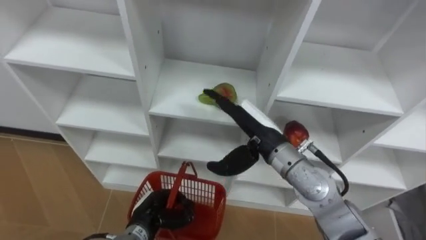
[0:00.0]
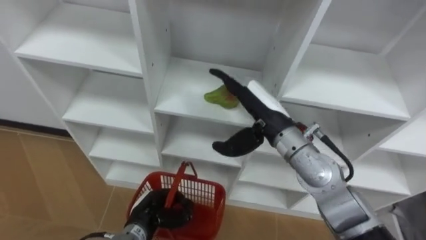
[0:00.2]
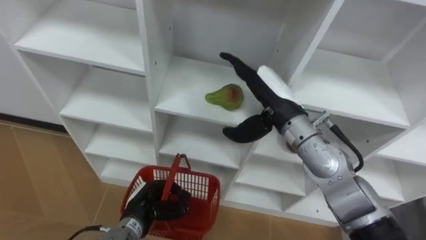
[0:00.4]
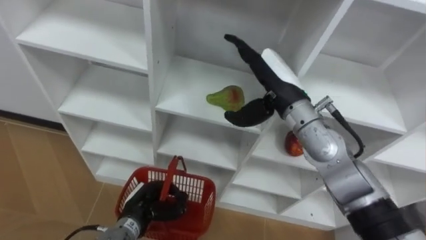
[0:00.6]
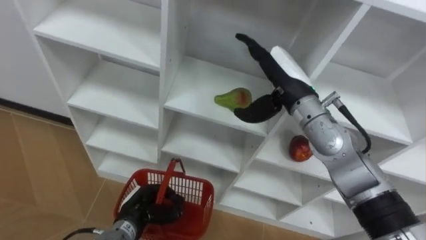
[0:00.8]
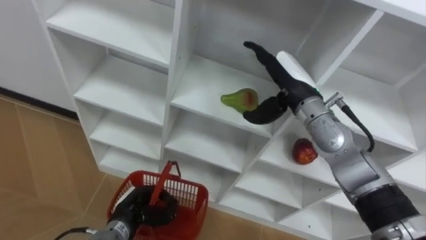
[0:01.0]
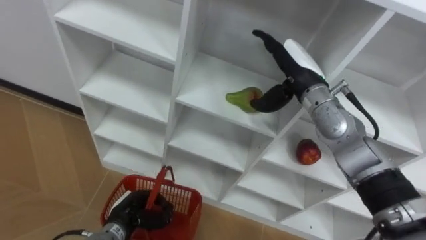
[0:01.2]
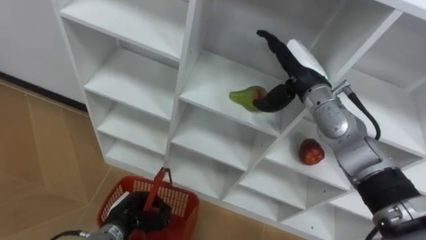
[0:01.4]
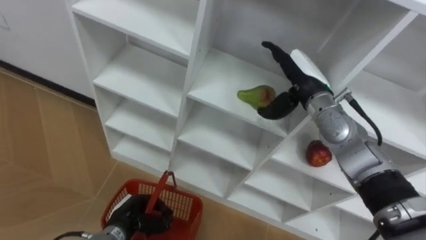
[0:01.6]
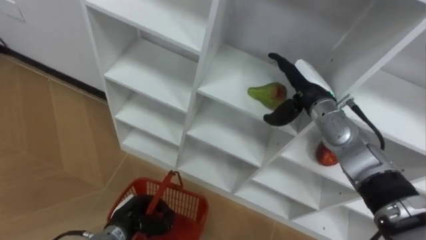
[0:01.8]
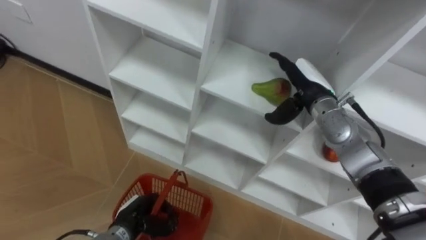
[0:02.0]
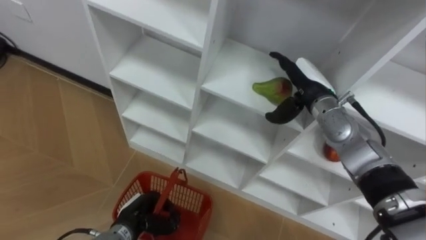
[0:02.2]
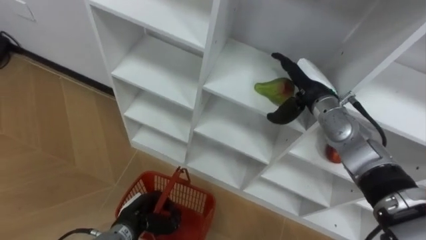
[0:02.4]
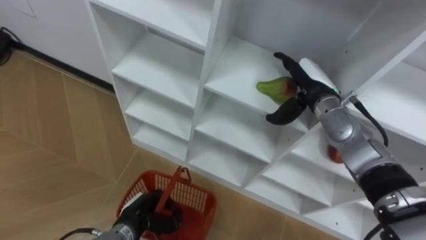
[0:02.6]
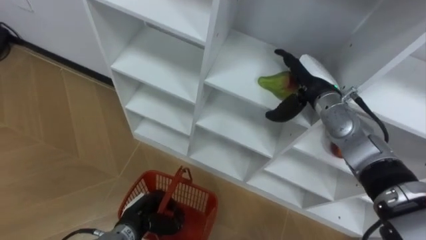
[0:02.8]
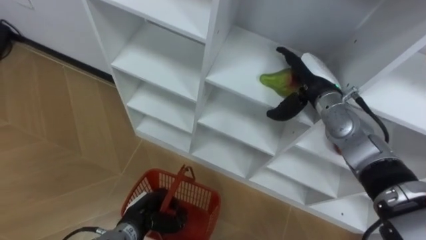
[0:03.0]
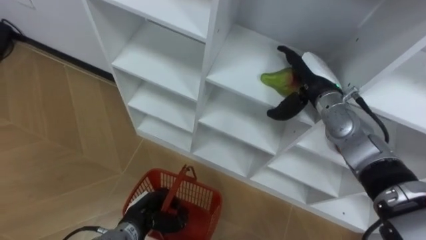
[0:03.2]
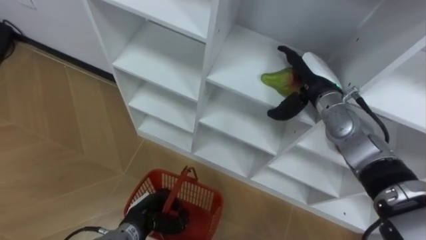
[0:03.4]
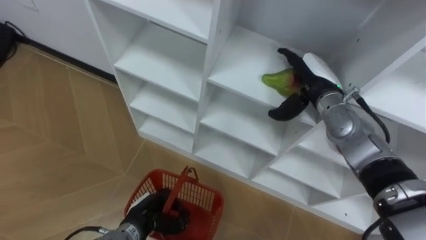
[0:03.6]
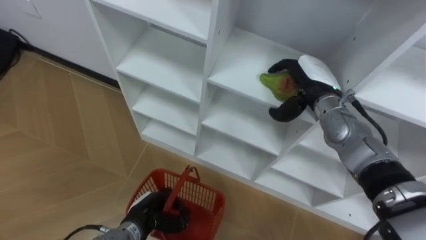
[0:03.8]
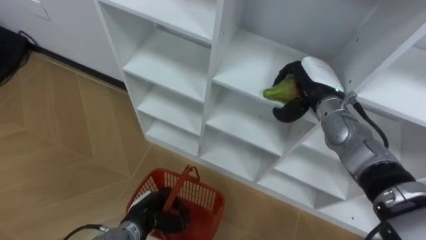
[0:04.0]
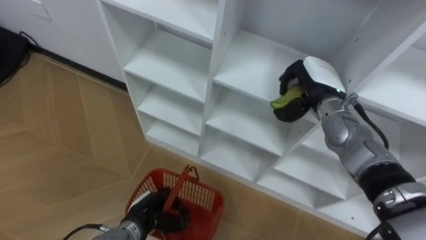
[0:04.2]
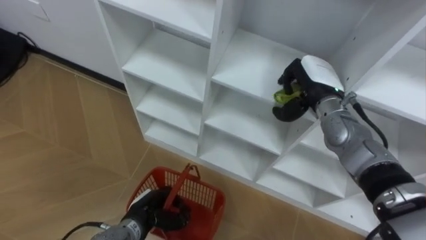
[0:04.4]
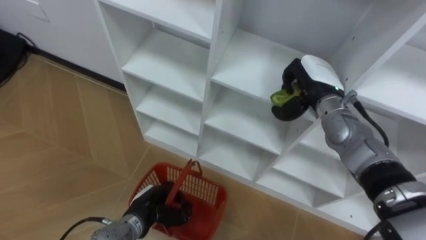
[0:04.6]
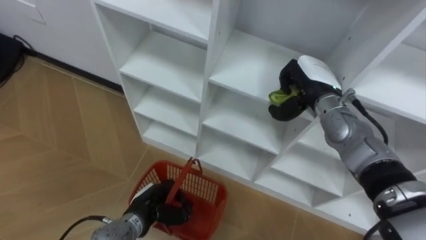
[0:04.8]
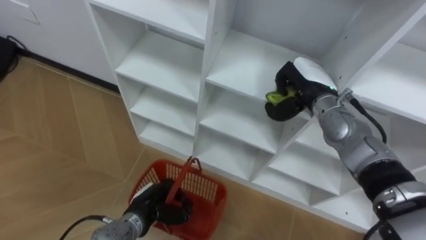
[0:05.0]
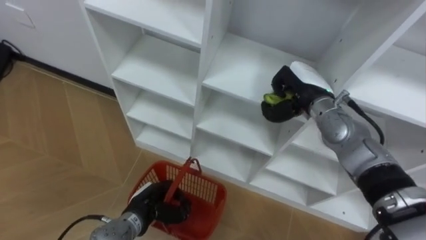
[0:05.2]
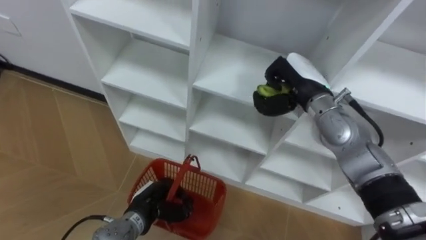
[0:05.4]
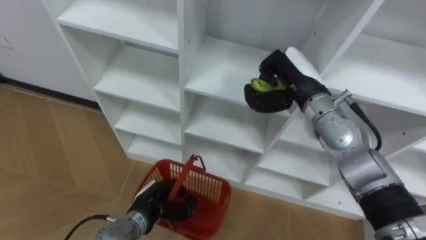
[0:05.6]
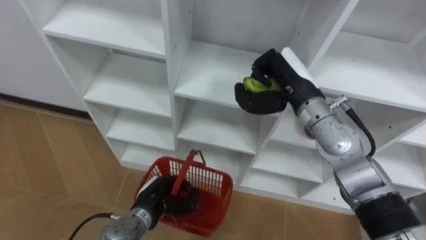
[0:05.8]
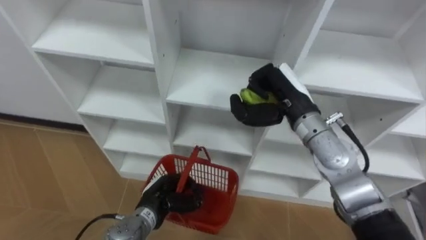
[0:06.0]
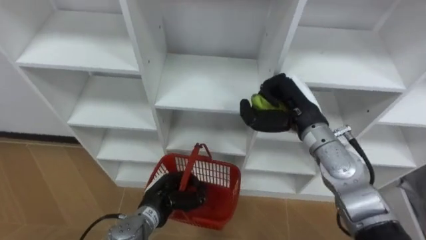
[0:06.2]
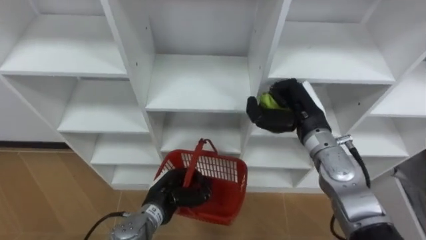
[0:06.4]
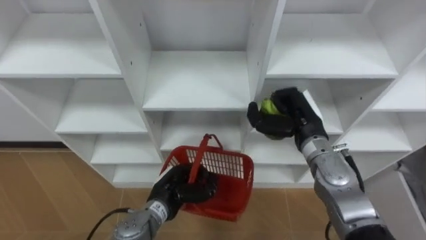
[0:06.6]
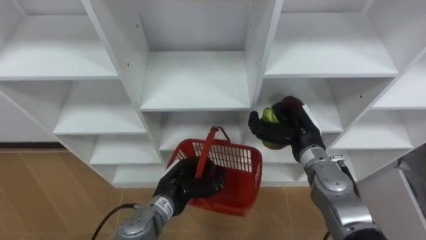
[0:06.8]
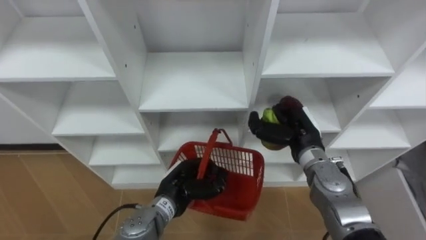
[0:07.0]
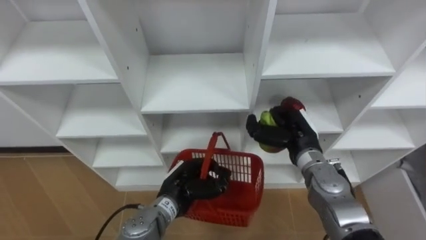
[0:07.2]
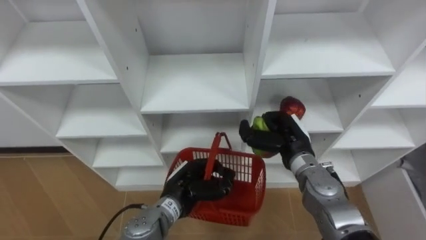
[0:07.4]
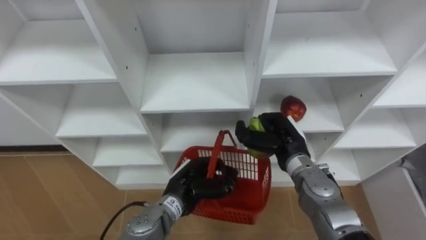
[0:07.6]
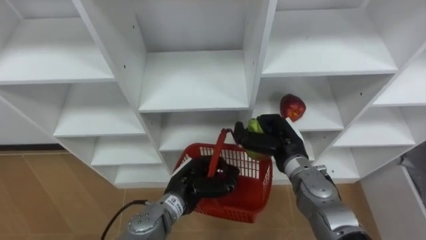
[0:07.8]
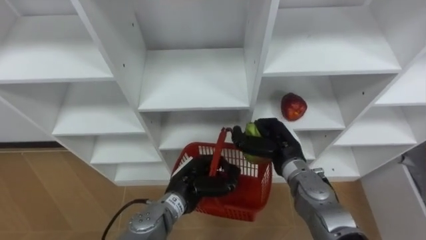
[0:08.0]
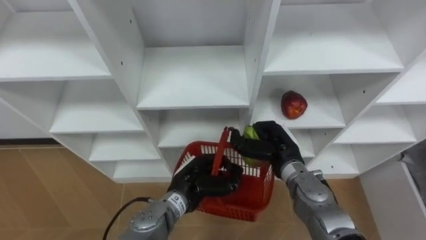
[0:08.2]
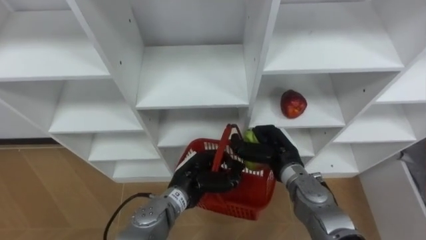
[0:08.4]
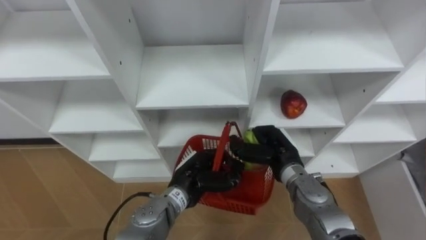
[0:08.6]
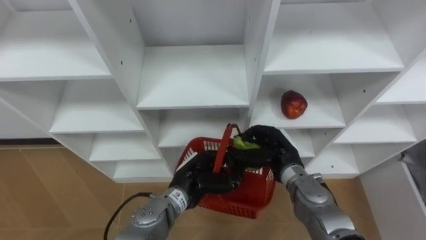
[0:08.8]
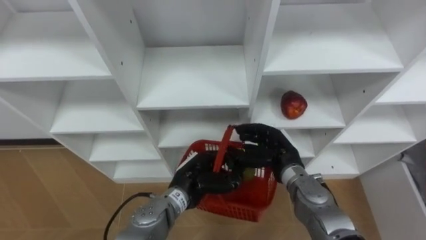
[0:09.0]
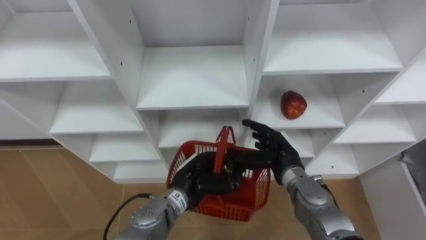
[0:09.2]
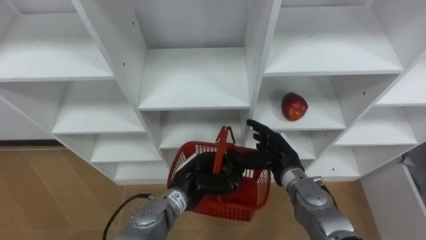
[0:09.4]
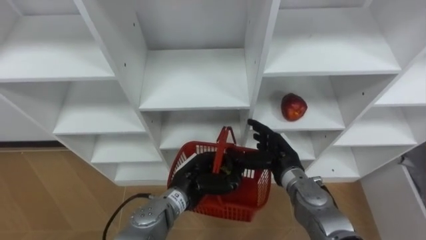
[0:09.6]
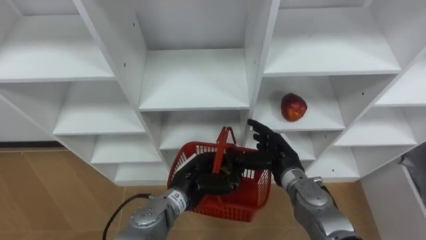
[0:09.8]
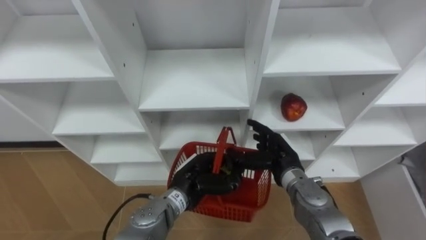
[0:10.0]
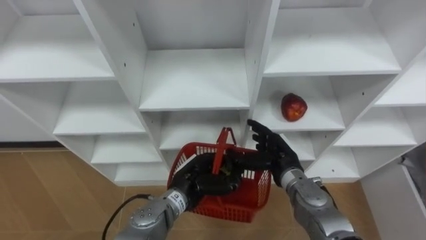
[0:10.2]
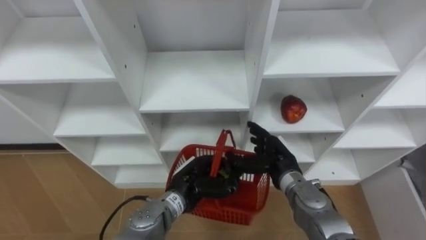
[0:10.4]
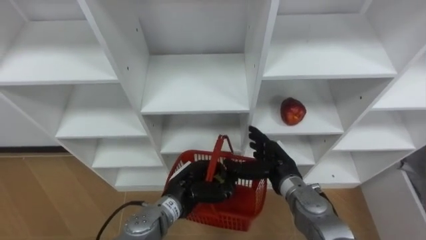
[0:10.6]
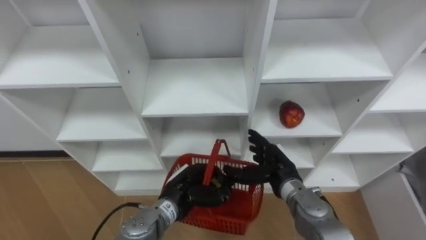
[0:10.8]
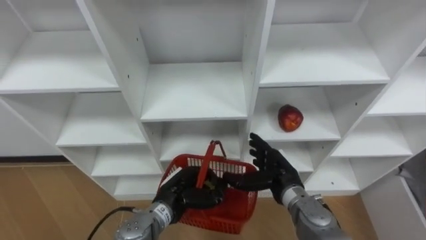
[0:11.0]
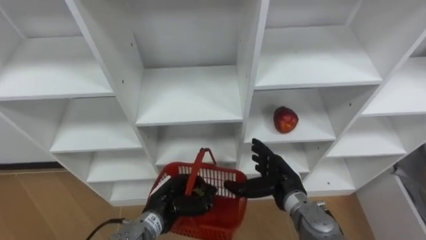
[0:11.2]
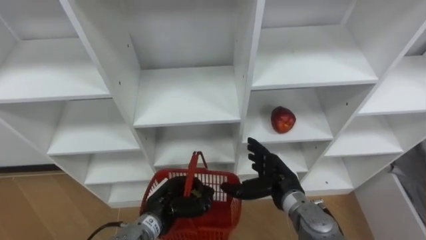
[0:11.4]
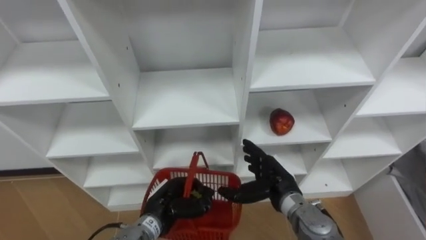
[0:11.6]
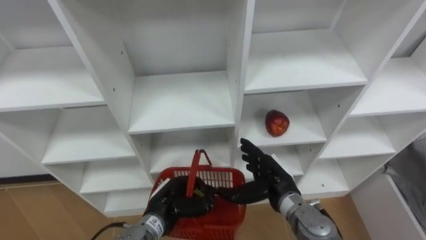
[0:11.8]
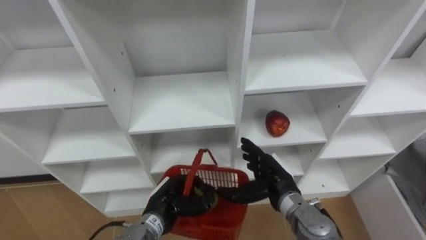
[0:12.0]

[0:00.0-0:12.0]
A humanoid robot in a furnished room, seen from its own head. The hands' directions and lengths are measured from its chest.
Task of the whole recording: Hold the basket and collect the fruits from 3 different cells of the closet into it.
0.0 to 1.6 s: The right hand is displaced forward and to the right by approximately 15 cm.
3.0 to 4.4 s: The right hand closes its fingers.
4.4 to 6.0 s: The right hand goes roughly 10 cm to the left and backward.
6.0 to 7.6 s: The left hand goes approximately 5 cm to the right, while the right hand heads downward, covering roughly 10 cm.
7.6 to 9.0 s: The right hand opens its fingers.
10.4 to 12.0 s: The left hand is displaced to the left by roughly 5 cm.

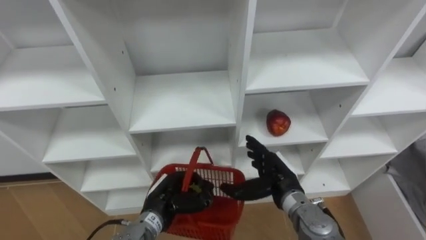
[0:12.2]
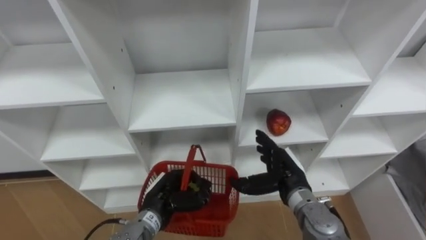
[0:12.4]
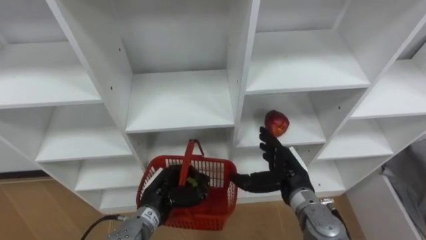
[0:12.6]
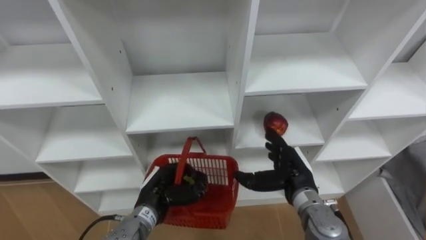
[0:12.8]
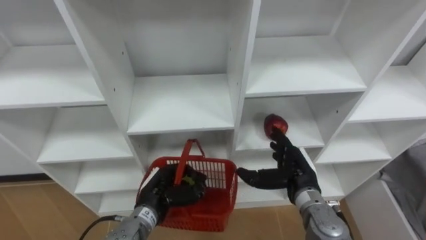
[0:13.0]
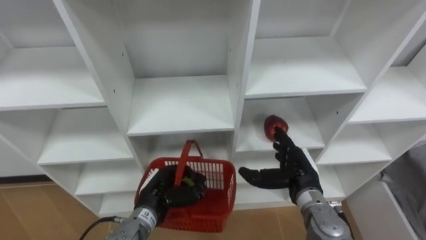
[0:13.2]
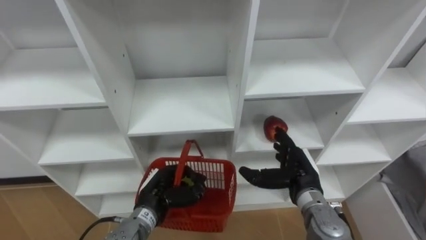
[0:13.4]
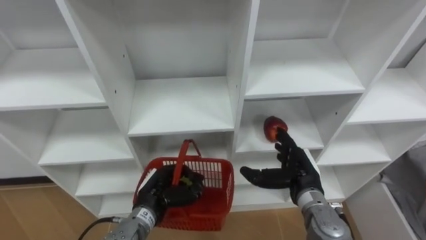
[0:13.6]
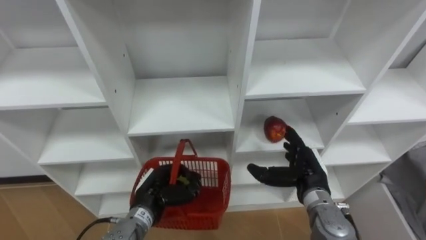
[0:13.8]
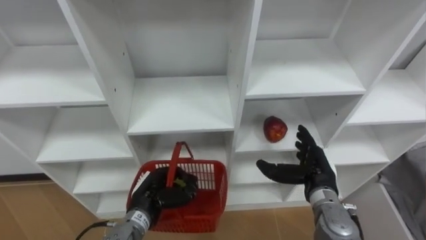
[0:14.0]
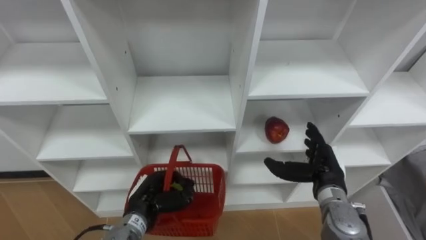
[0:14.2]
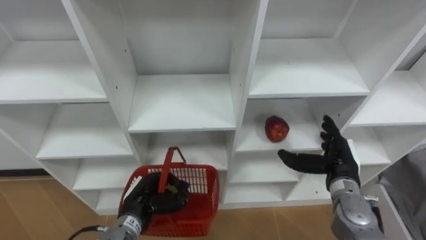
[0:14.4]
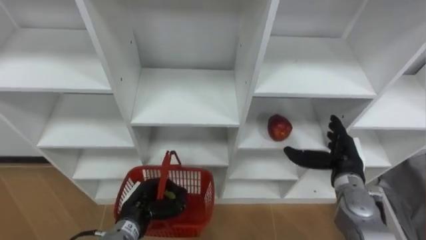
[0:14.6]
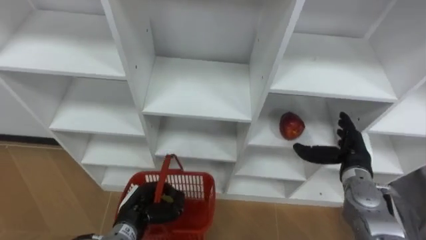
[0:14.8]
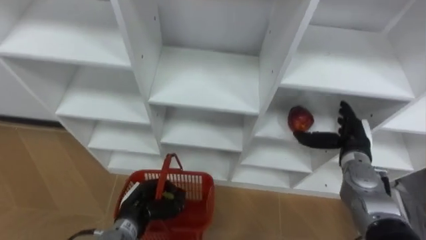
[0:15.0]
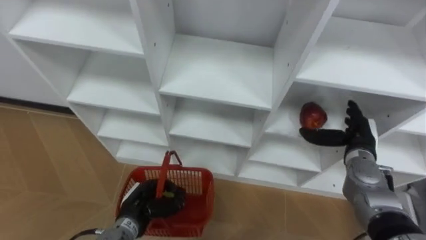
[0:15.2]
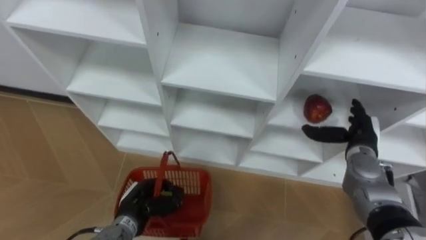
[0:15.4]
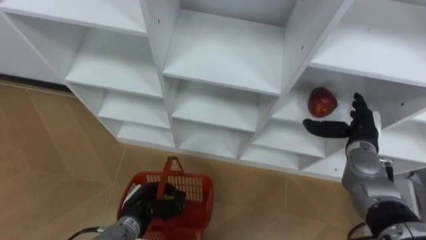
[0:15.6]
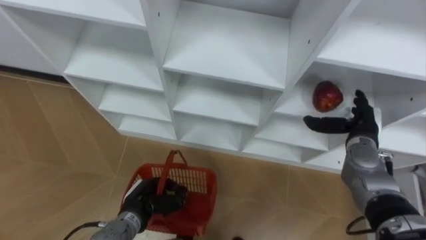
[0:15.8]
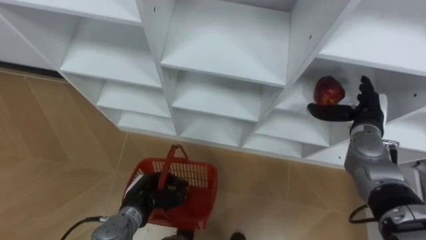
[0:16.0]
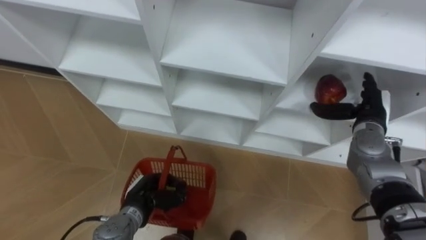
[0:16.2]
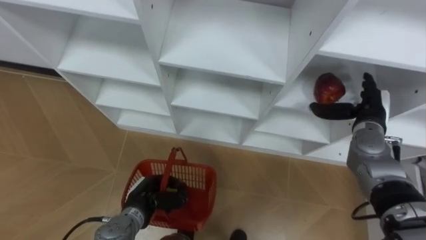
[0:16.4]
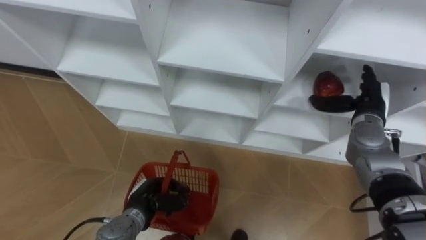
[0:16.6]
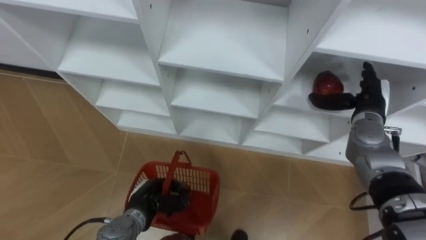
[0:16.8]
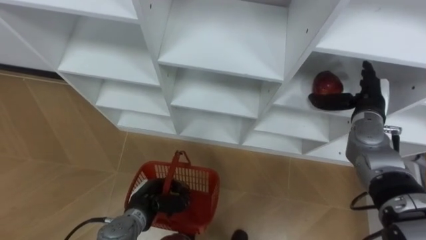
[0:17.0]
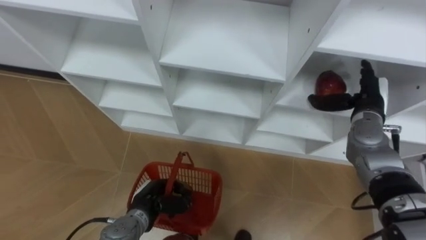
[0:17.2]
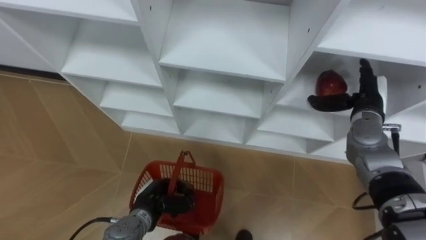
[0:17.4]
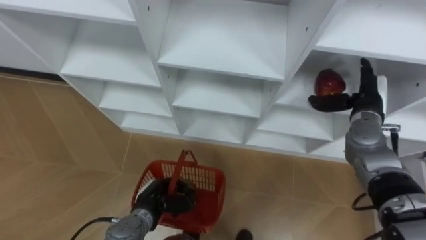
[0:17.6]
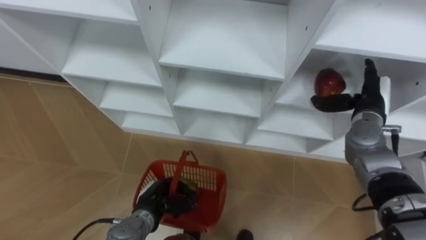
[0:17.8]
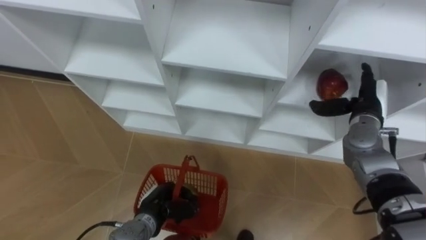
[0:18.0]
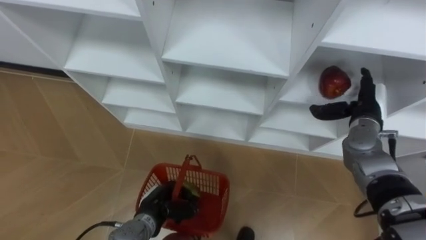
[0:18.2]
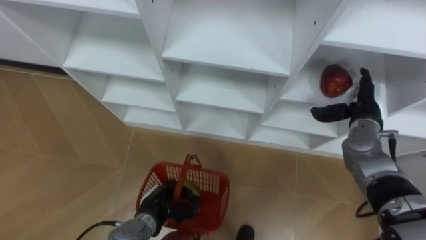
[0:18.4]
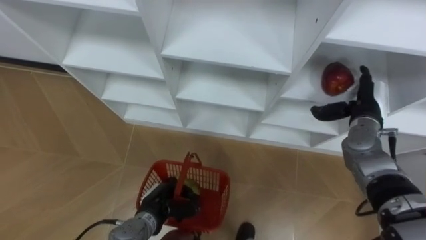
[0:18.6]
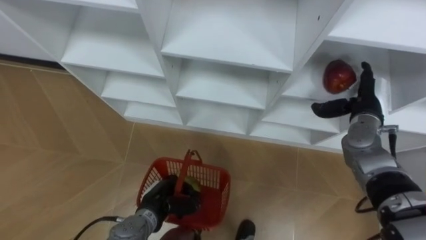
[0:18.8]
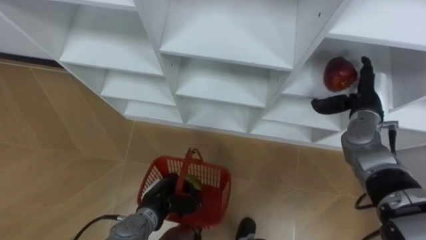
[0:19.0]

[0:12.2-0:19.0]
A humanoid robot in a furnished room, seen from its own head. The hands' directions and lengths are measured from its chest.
Task of the whole recording: Hold the basket and collect the fruits from 3 different cells of the closet into it.
13.6 to 15.0 s: The left hand changes place by some 5 cm, while the right hand shifts approximately 10 cm to the right and forward.
15.0 to 16.2 s: The right hand changes place by some 5 cm.
